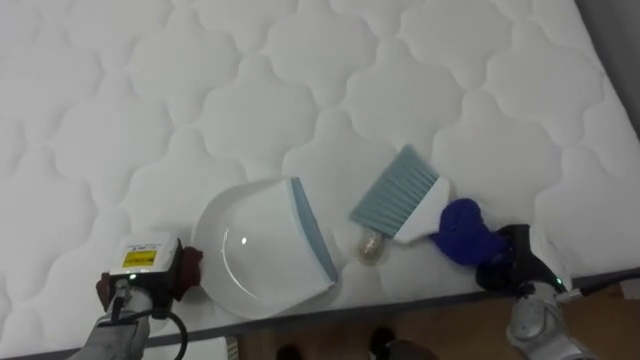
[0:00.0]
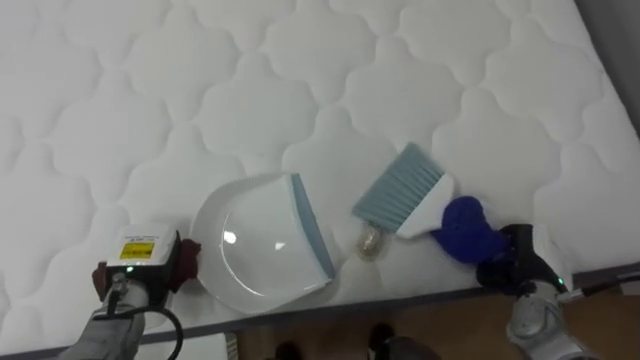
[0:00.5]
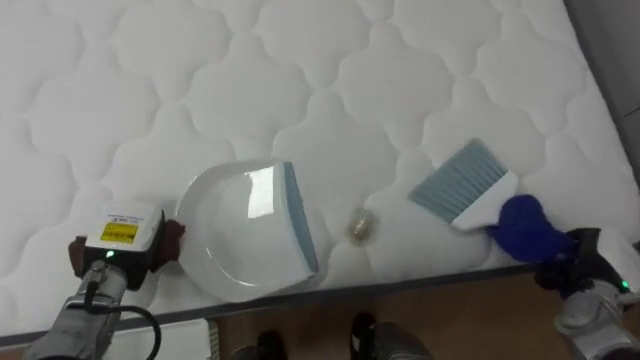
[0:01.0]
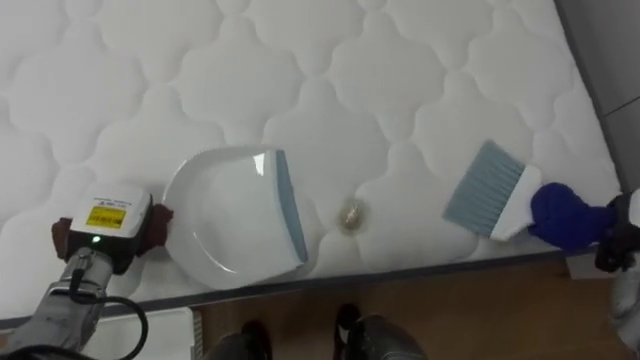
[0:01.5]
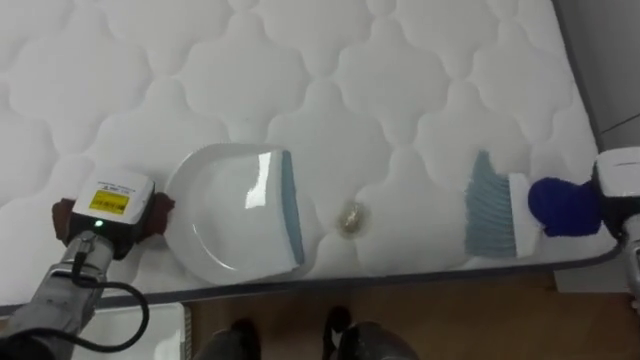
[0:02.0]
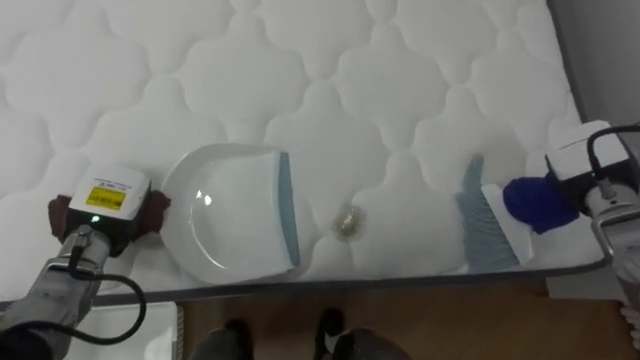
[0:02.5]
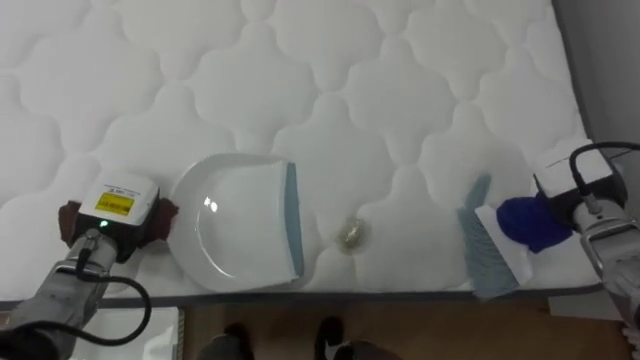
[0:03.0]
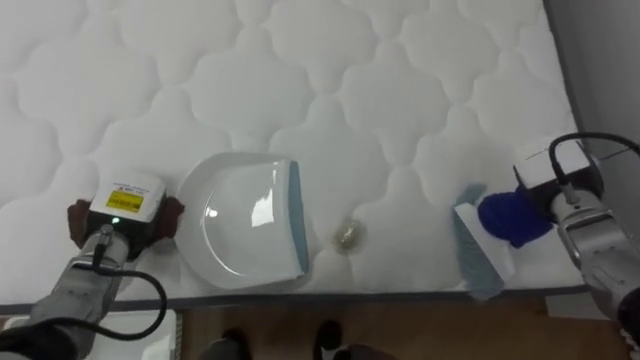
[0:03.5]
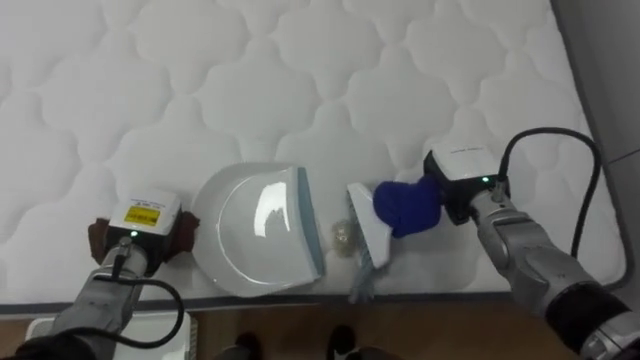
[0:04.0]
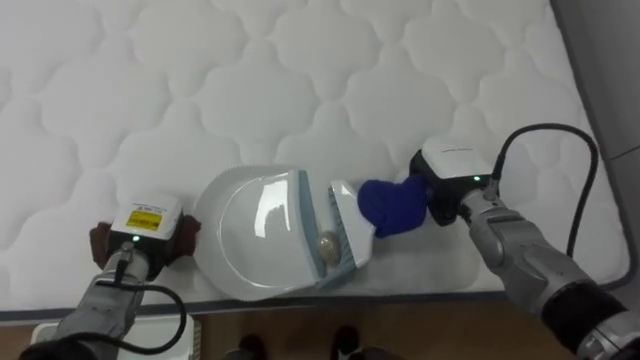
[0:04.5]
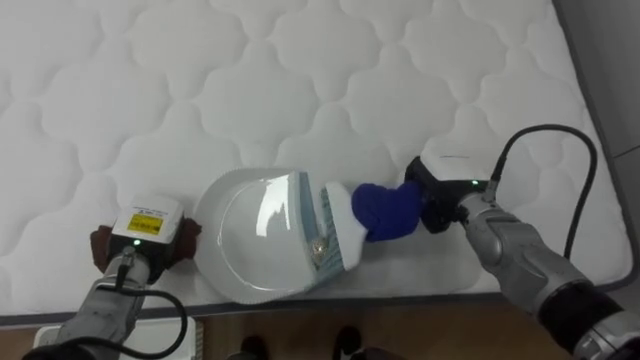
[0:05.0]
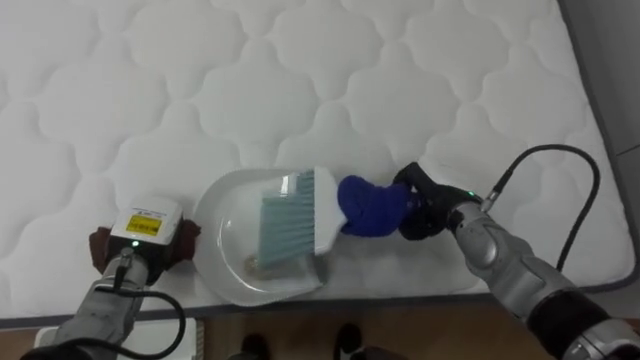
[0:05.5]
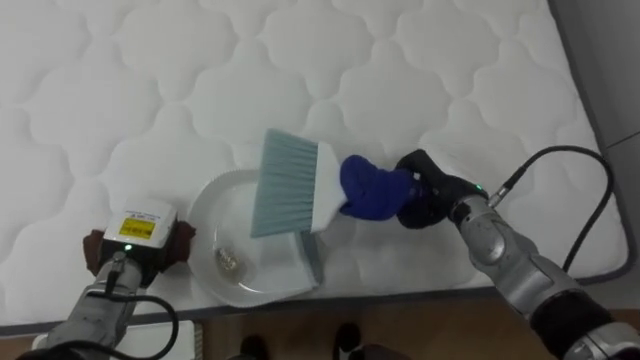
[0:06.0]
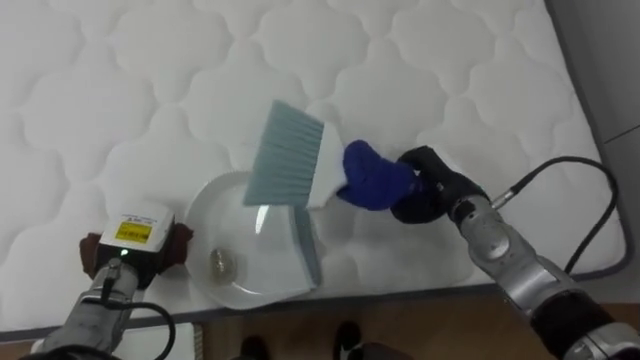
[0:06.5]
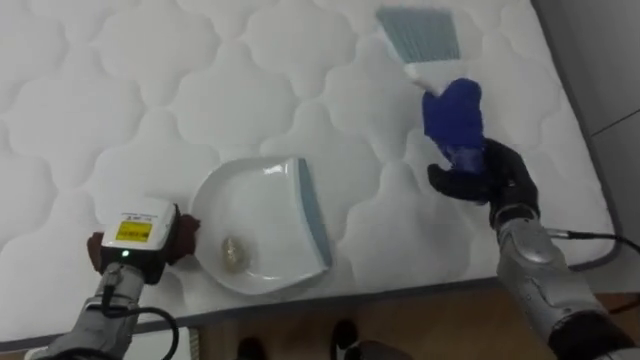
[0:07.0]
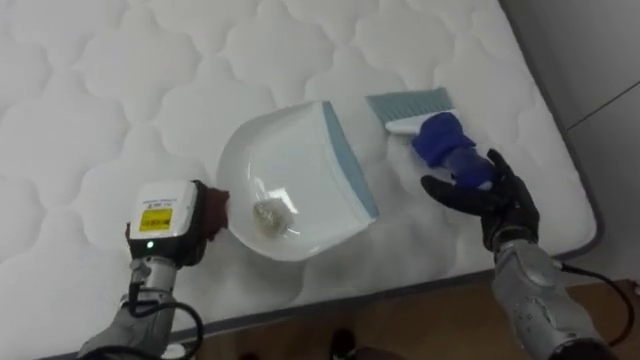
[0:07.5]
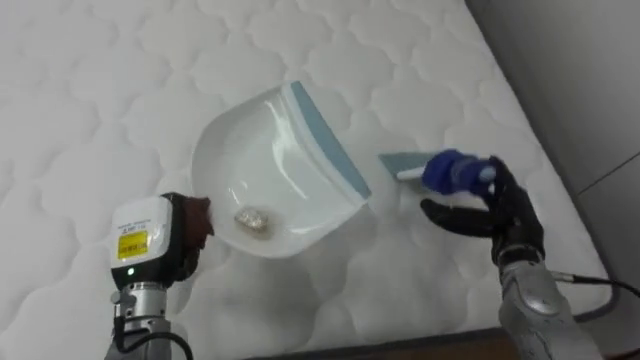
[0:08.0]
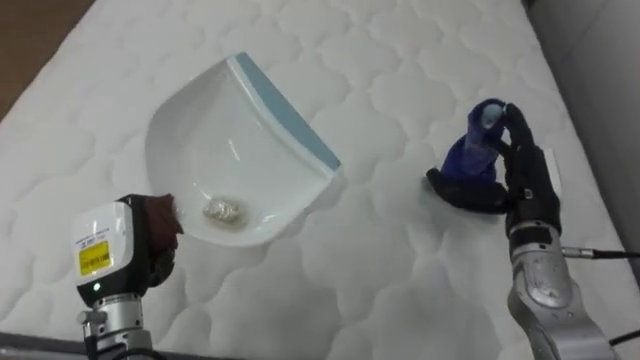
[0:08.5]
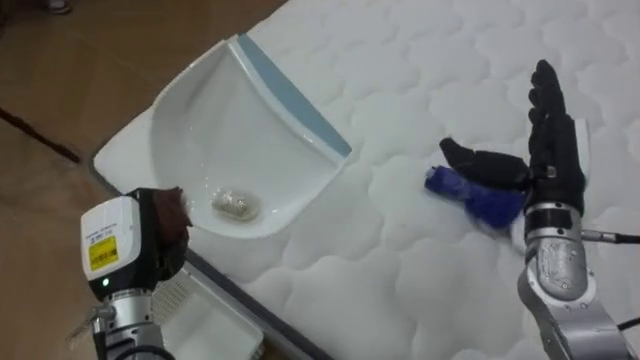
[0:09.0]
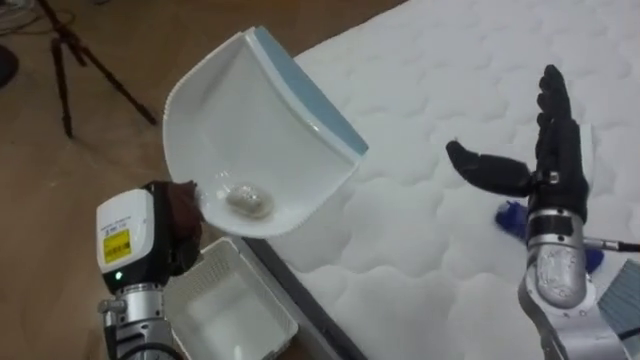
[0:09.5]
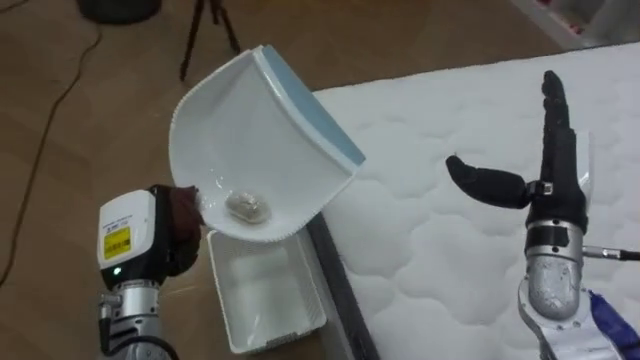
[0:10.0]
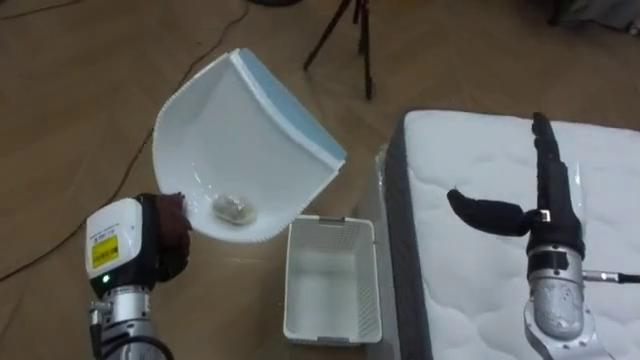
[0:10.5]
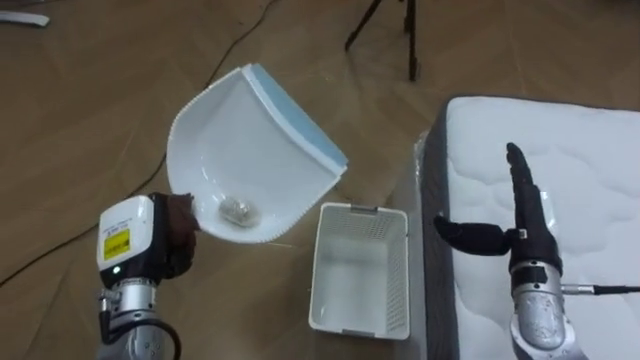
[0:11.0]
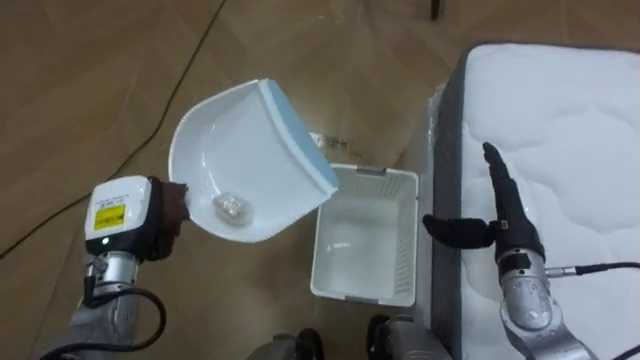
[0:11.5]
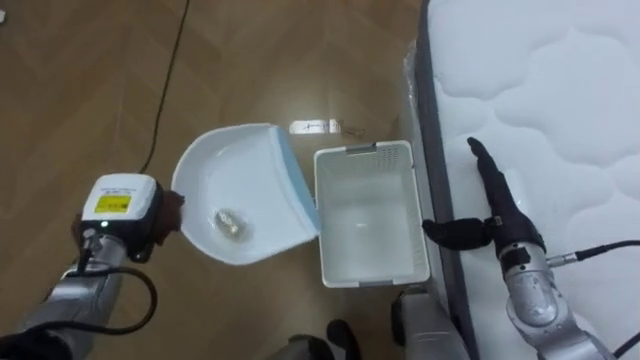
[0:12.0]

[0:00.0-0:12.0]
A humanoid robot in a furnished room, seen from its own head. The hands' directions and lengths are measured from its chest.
Task of the whole recording: Pick up the brush on your right and the dustpan on your left. Use the brush to sweep the crumpled paper on the bed into the dustpan, then turn left and empty it into the basket.
0:00.0 to 0:02.0: The left hand heads upward, covering roughly 10 cm.
0:02.0 to 0:04.0: The left hand changes place by approximately 5 cm. The right hand goes some 20 cm to the left.
0:06.0 to 0:08.0: The left hand ends up approximately 5 cm from where it was; the right hand shifts roughly 10 cm to the right and backward, and opens.
0:08.0 to 0:10.0: The robot's body swings some 75 degrees to its left. The right hand shifts roughly 10 cm upward.
0:10.0 to 0:12.0: The left hand goes roughly 5 cm forward. Meanwhile the right hand goes roughly 10 cm downward.

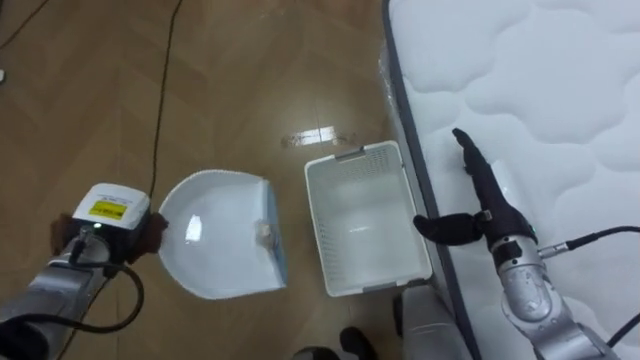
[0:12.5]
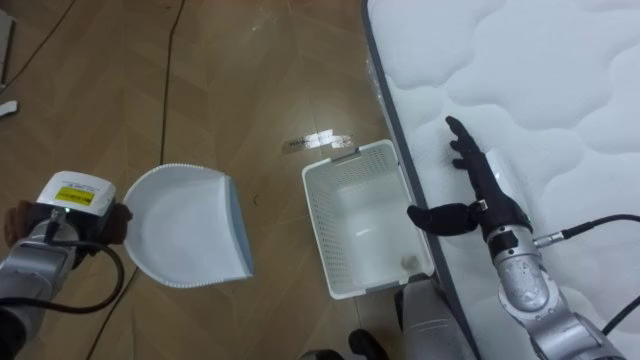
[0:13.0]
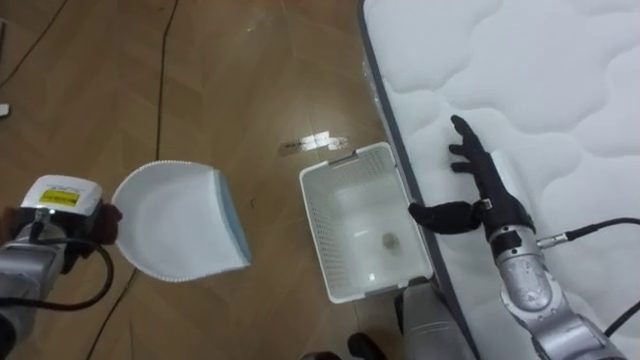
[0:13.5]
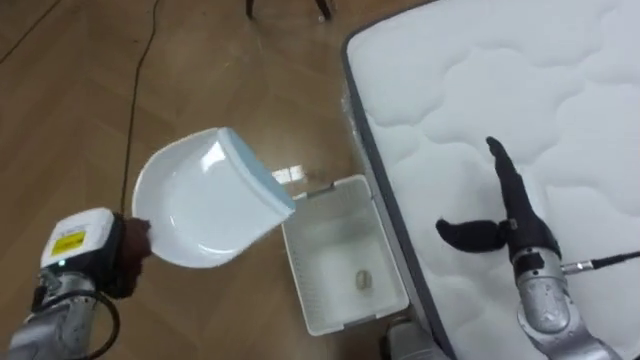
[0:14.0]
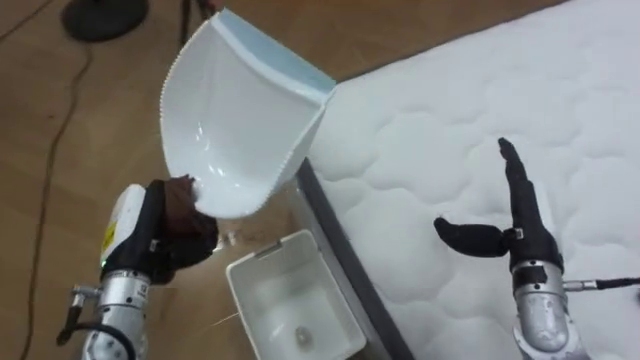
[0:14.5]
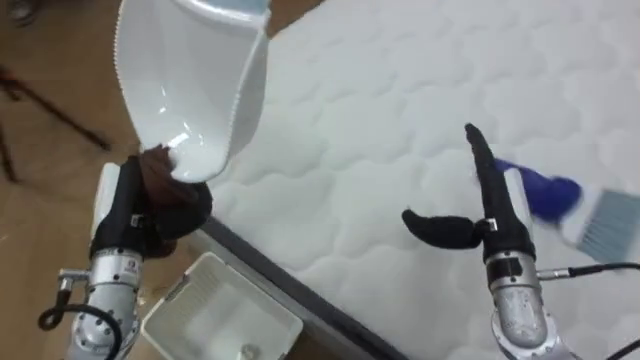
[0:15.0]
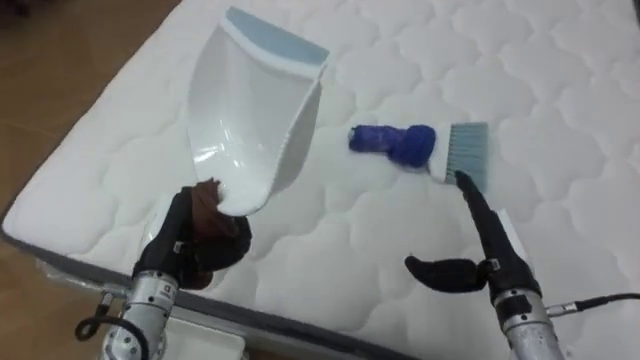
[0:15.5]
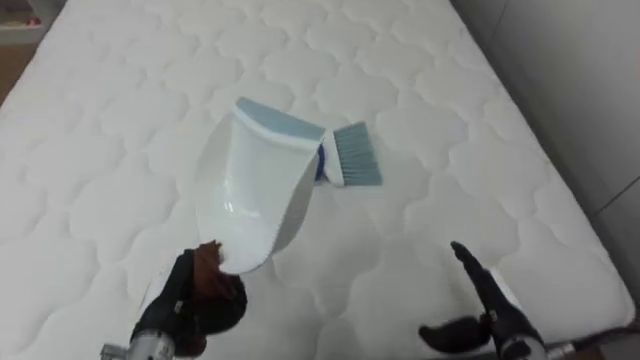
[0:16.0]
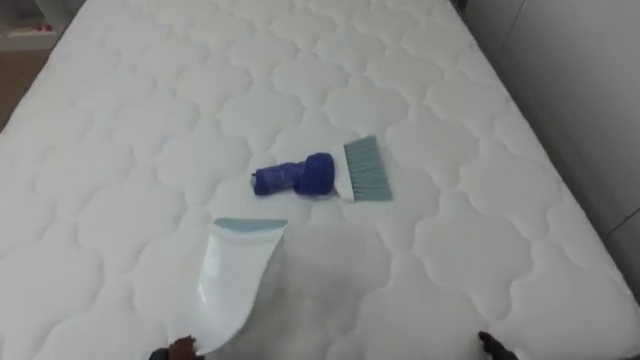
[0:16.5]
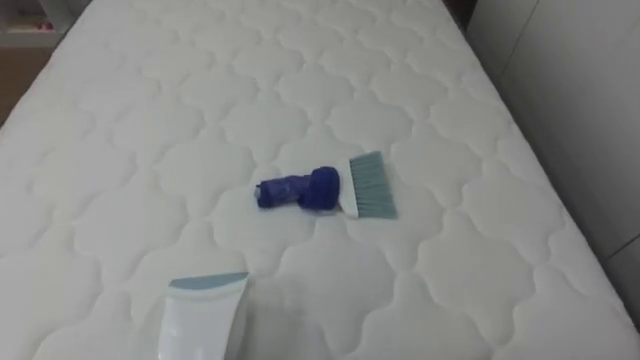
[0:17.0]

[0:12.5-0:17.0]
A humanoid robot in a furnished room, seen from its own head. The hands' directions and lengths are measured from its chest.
Task of the whole recording: Pick up the brush on your right and the dustpan on your left. Use the brush to sweep the crumpled paper on the bed into the dustpan, then turn left and empty it into the basket.
0:12.5 to 0:14.5: The left hand is displaced to the right by roughly 5 cm.
0:14.5 to 0:17.0: The robot faces roughly 70 degrees further to its right.

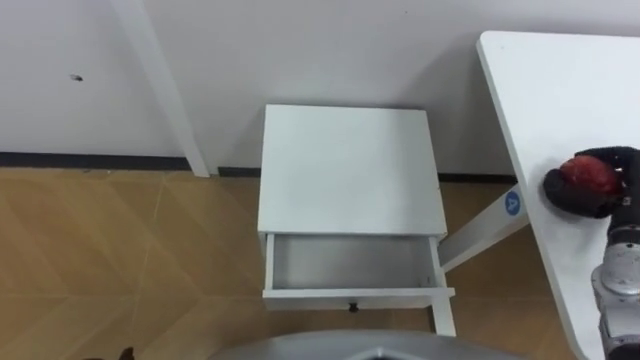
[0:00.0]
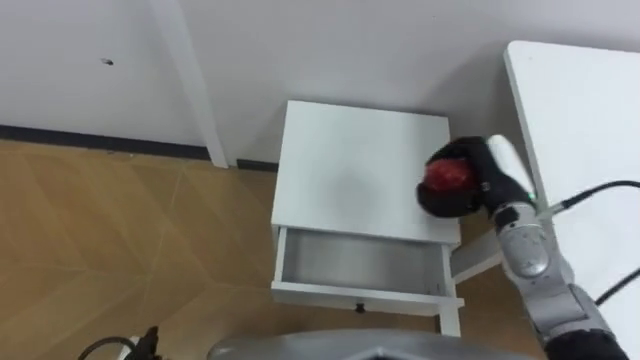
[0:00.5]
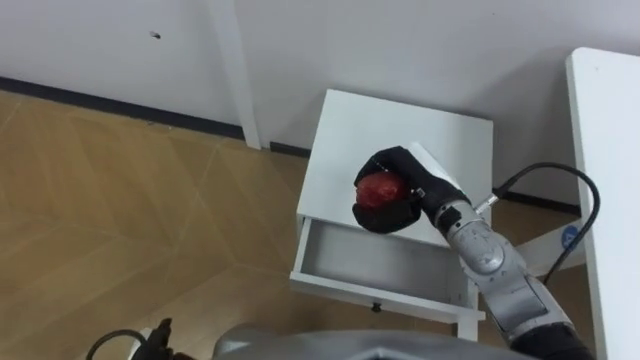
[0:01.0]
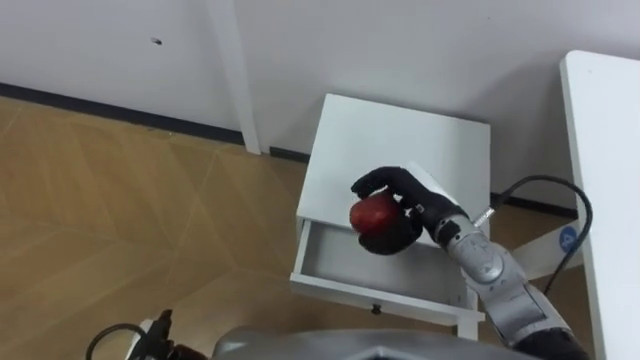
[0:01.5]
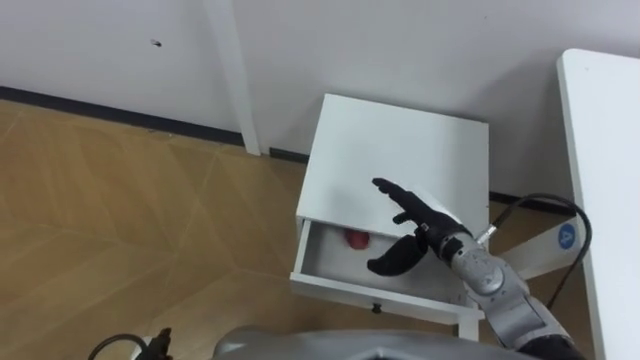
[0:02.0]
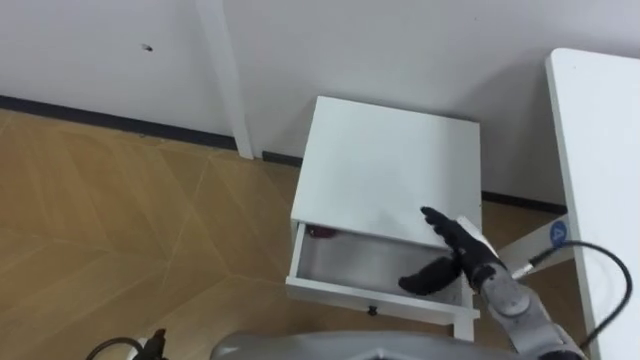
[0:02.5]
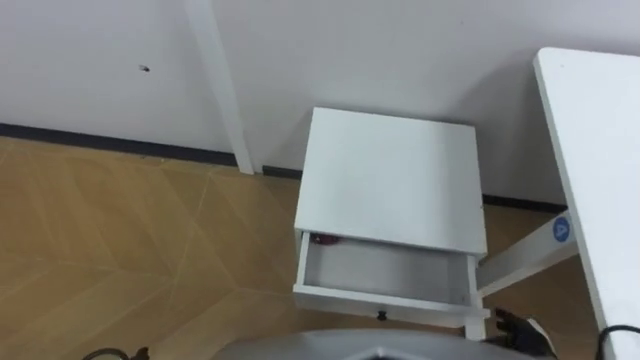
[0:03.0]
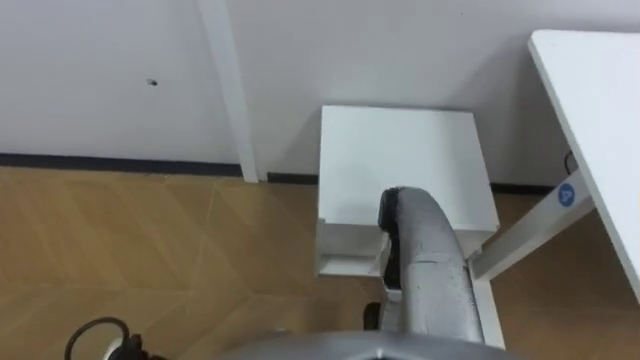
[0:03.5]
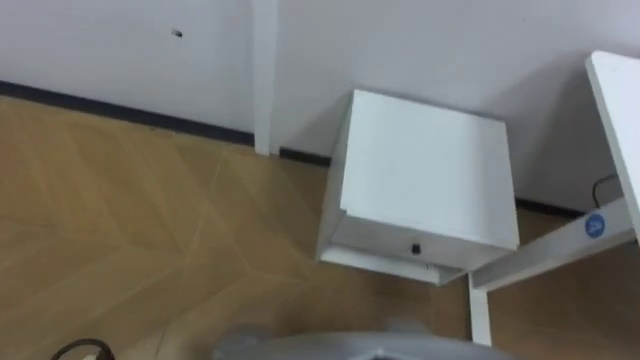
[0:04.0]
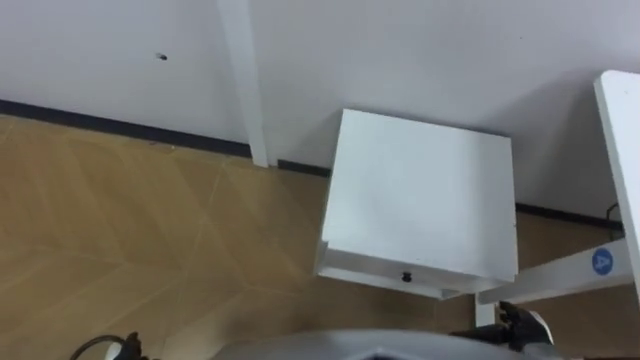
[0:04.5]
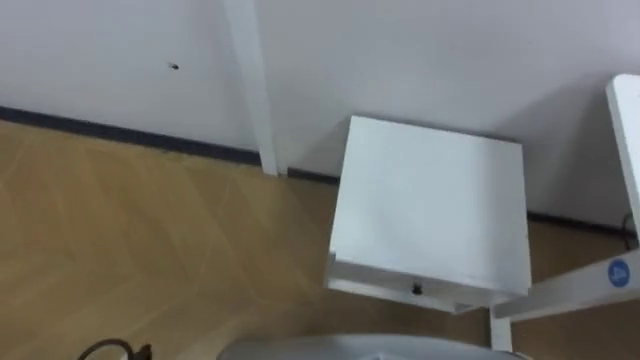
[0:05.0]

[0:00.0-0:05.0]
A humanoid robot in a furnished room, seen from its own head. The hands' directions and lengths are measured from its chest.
Task of the whole recording: Pick up the apple from the table, put it in the drawer, and close the drawer with leg.
0:00.0 to 0:02.5: The right hand moves to the left and downward, roughly 20 cm, and opens its fingers.
